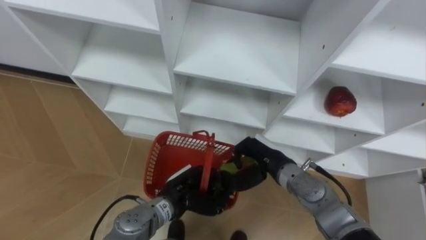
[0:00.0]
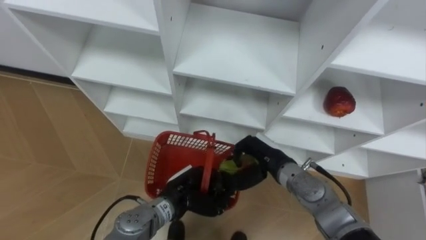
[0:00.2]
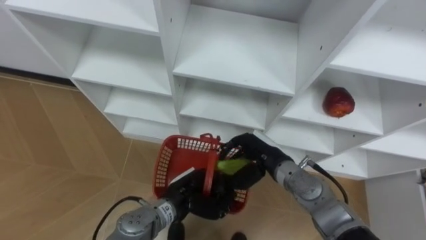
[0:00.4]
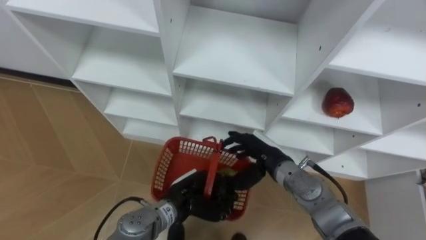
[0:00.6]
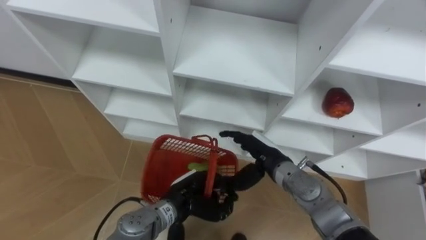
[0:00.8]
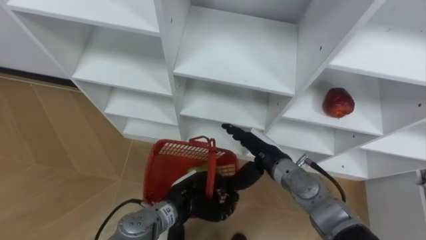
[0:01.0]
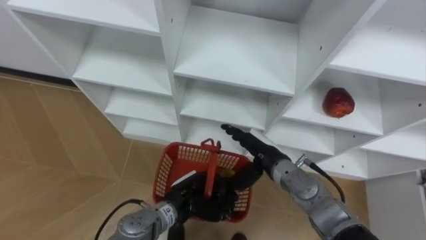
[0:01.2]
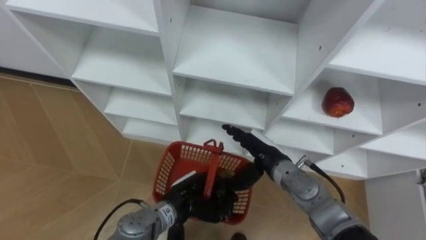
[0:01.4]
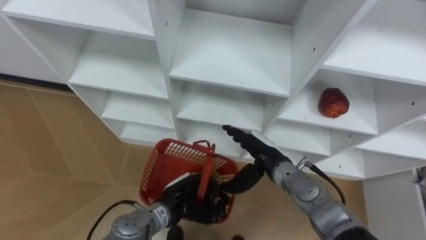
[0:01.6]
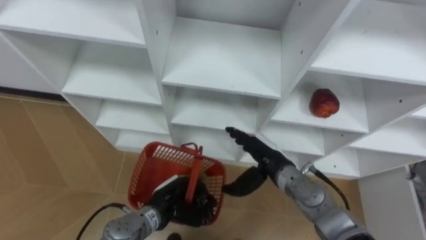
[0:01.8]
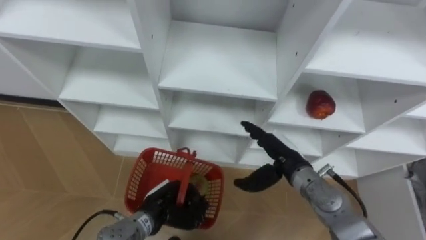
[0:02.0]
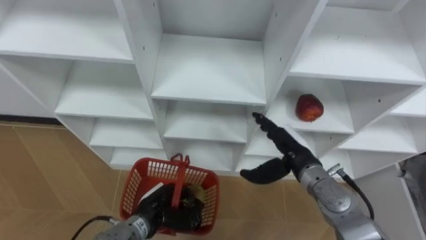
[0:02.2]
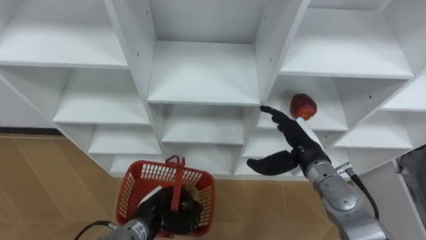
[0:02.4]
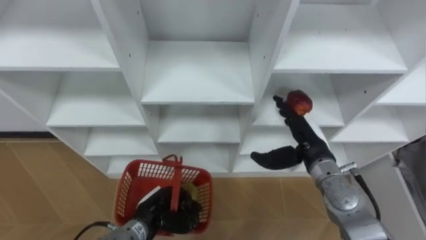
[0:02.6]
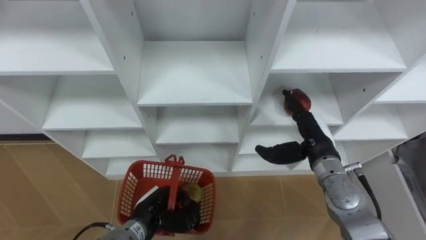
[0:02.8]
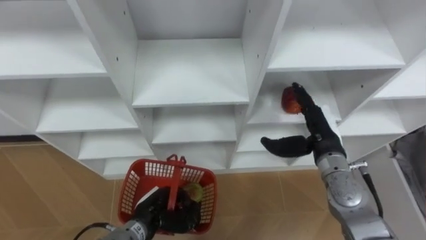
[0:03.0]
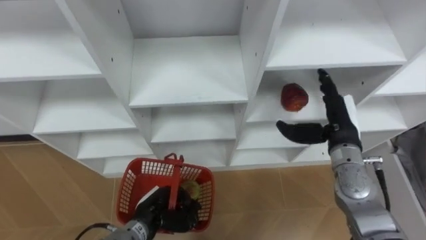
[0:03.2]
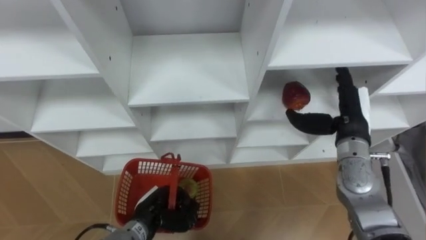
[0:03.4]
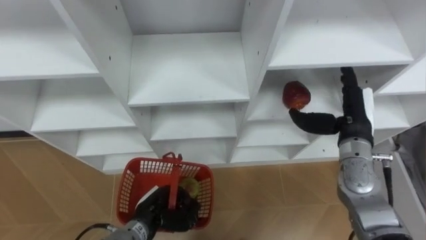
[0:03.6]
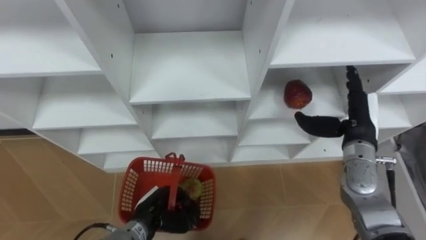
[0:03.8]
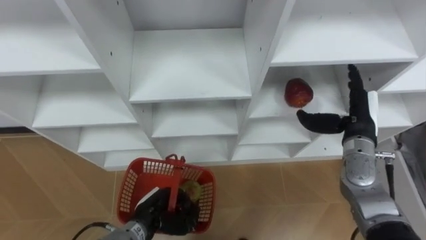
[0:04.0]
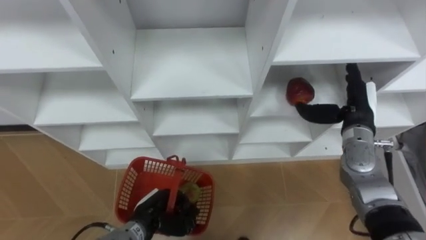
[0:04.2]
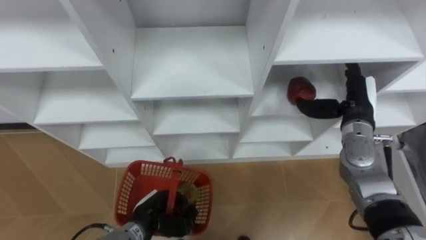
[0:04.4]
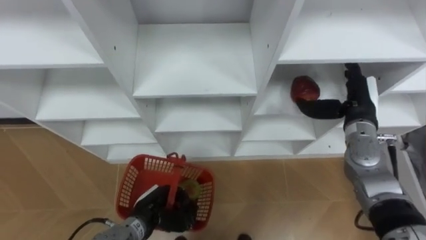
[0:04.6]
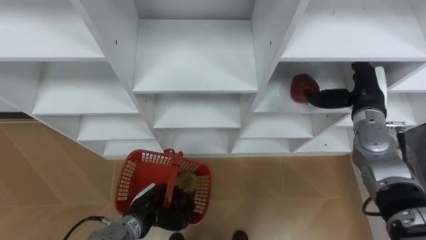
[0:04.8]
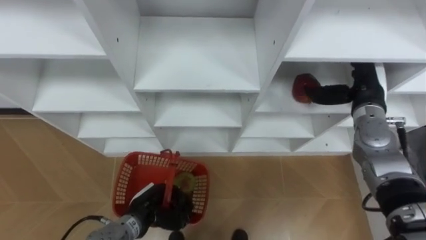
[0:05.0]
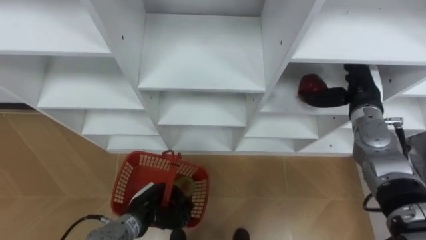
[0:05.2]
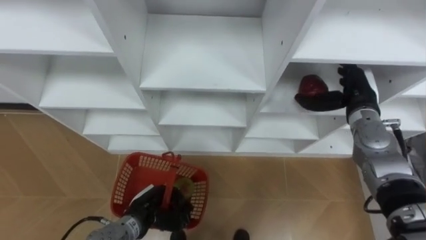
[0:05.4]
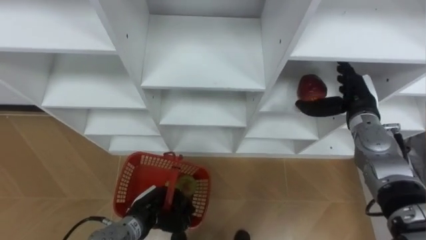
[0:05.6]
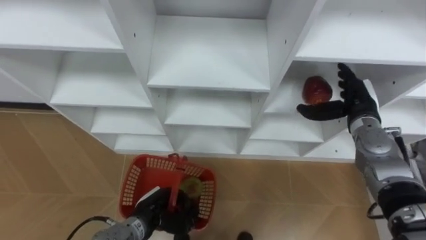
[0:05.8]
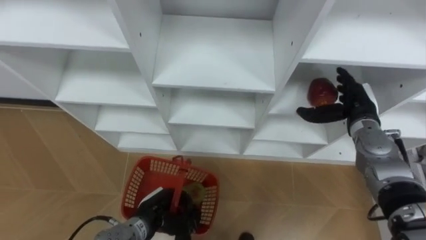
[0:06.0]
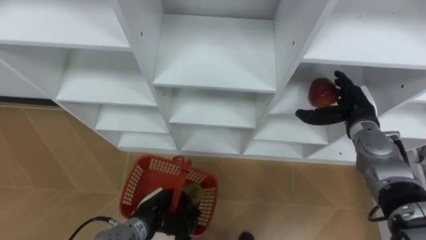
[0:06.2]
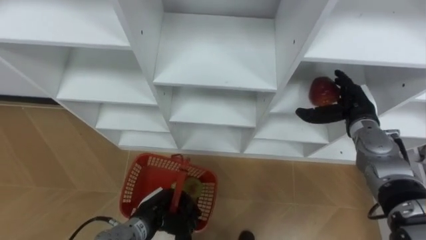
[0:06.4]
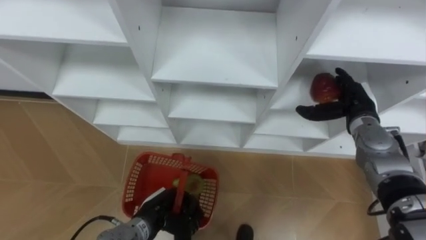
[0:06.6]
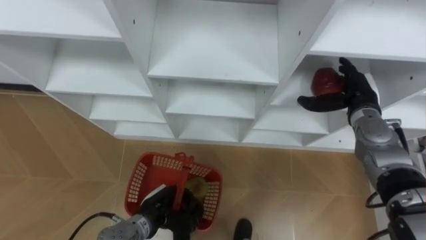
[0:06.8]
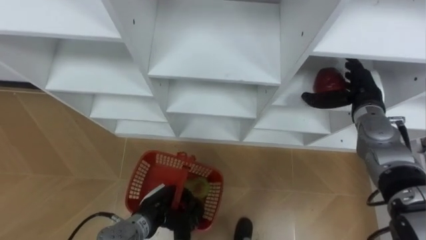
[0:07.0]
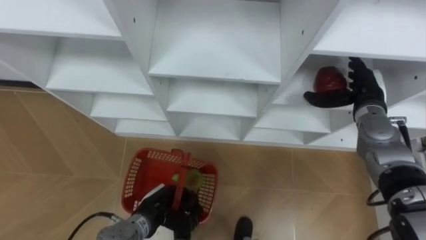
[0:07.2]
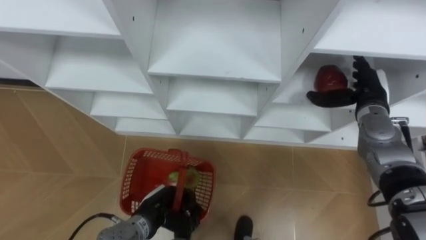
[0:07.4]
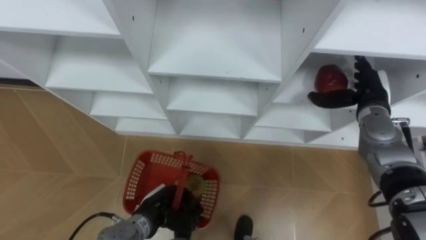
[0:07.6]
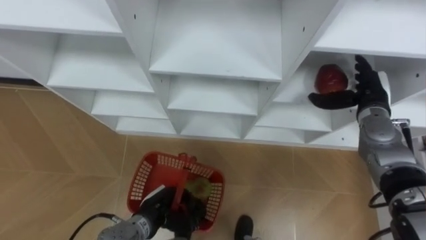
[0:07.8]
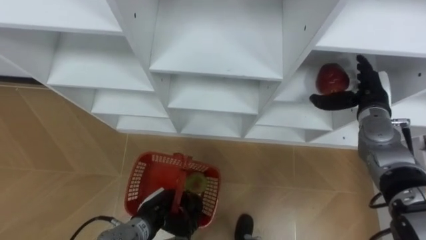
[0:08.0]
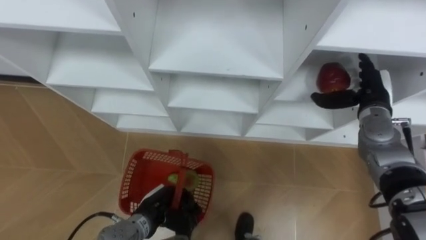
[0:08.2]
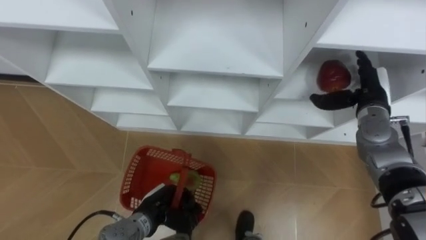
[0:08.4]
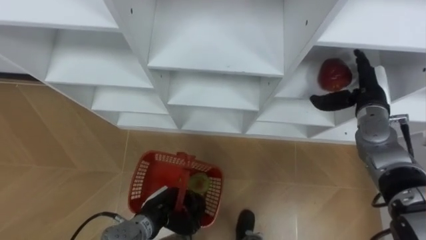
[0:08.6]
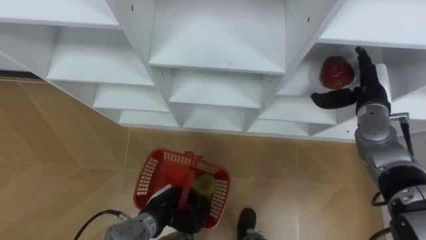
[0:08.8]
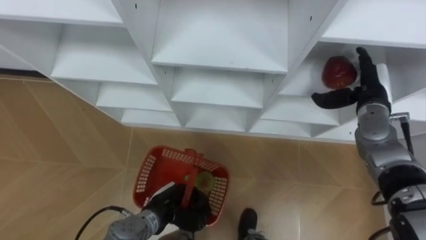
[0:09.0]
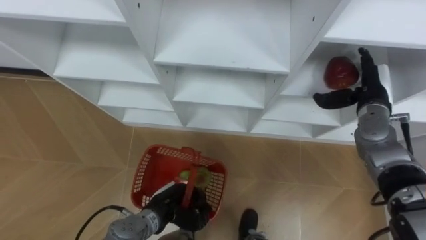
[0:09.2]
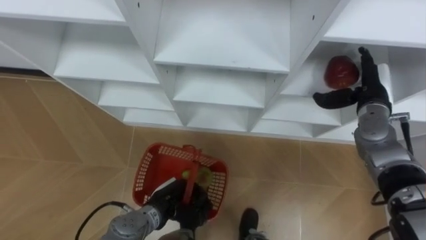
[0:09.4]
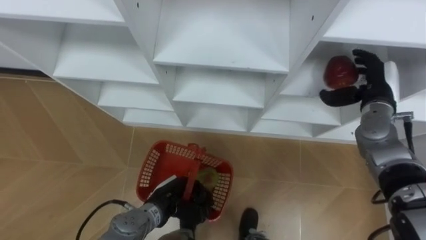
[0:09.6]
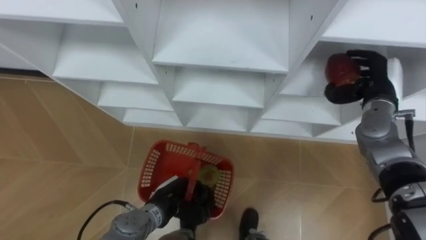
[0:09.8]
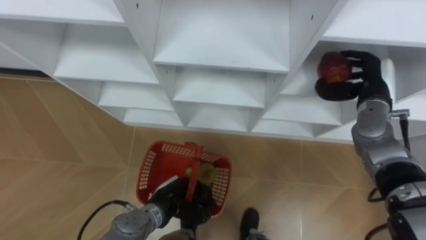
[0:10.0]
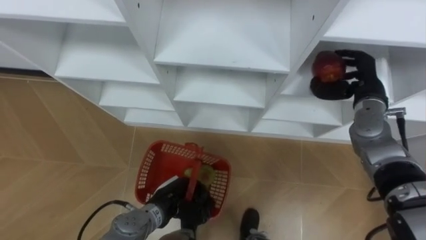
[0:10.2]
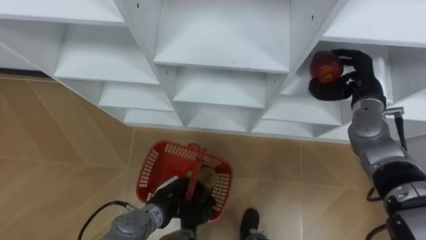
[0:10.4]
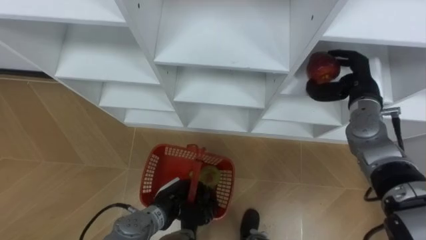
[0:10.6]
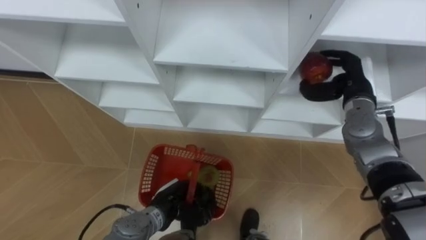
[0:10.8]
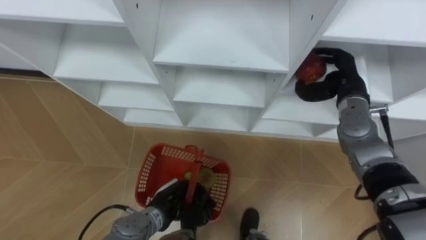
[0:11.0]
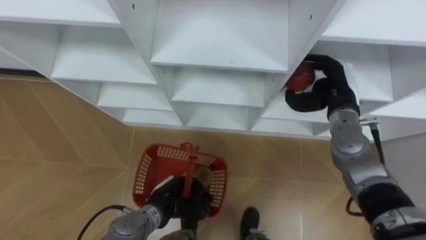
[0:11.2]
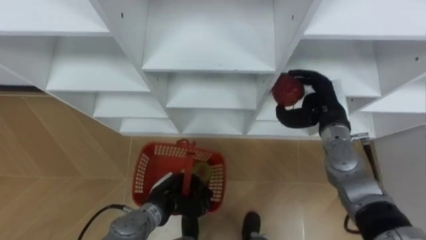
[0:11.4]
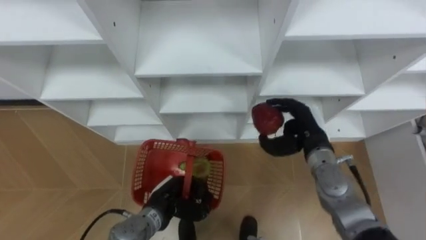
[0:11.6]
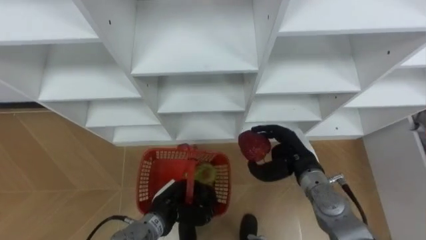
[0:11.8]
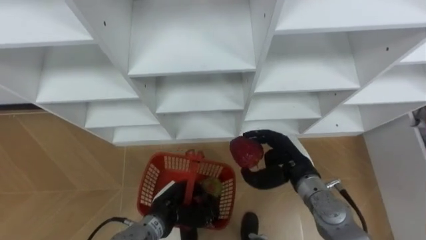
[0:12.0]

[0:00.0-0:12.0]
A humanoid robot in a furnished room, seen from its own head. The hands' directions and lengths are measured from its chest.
Task of the whole recording: Hold the basket and collect the fruits from 3 different cells of the closet into it.
0:00.0 to 0:01.6: The right hand opens.
0:01.6 to 0:03.0: The left hand is displaced to the left by approximately 5 cm, while the right hand travels to the right and upward by some 10 cm.
0:03.0 to 0:04.4: The right hand heads to the right, covering roughly 5 cm.
0:09.0 to 0:10.4: The right hand closes its fingers.
0:10.4 to 0:12.0: The right hand goes roughly 20 cm to the left, backward and downward.

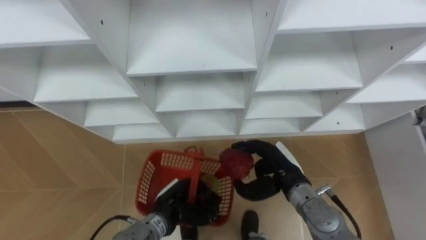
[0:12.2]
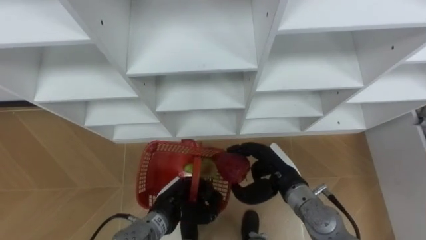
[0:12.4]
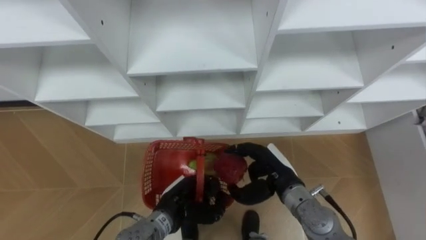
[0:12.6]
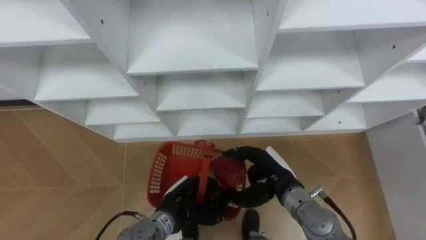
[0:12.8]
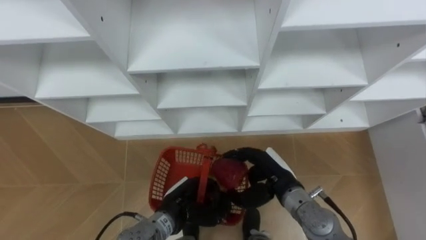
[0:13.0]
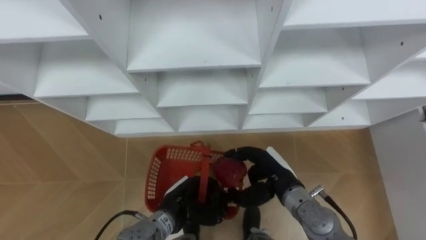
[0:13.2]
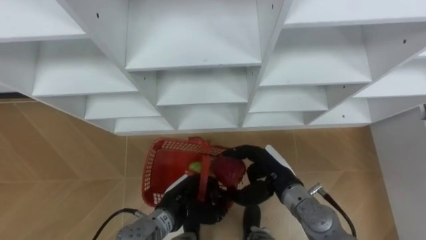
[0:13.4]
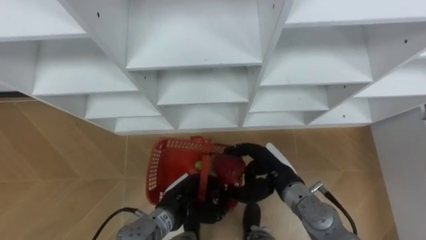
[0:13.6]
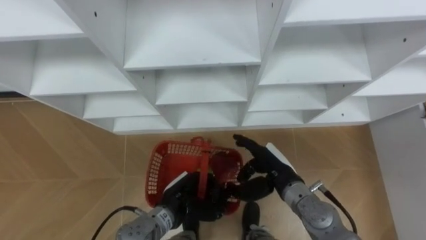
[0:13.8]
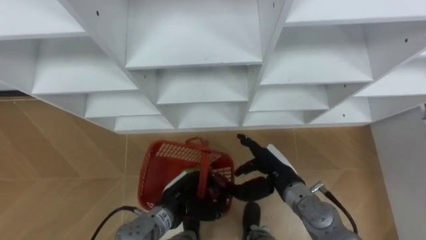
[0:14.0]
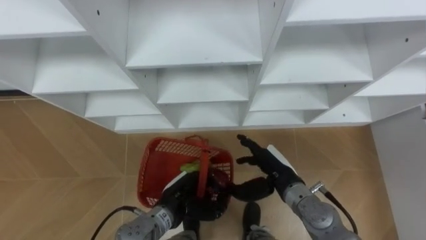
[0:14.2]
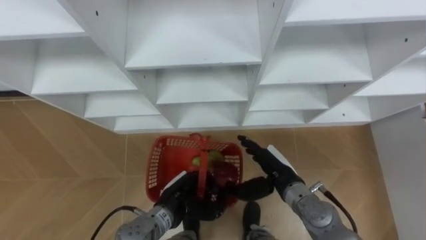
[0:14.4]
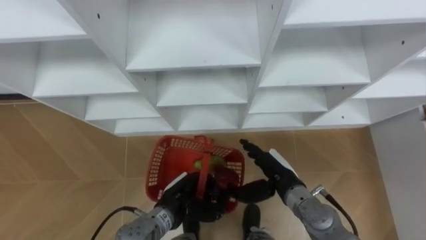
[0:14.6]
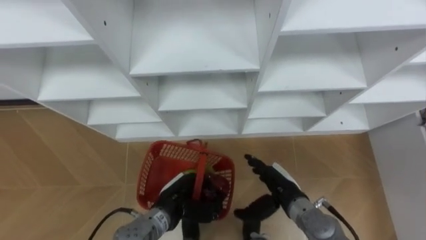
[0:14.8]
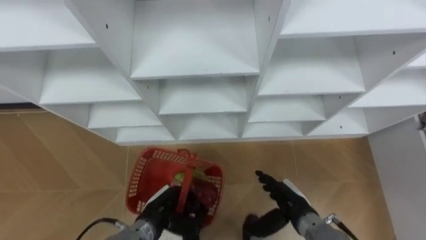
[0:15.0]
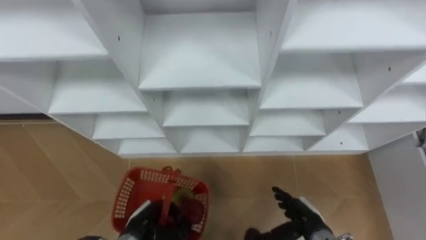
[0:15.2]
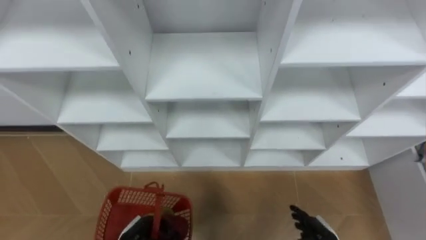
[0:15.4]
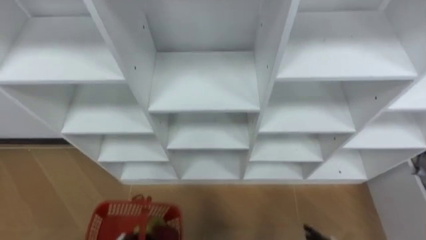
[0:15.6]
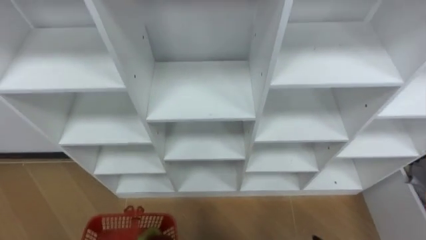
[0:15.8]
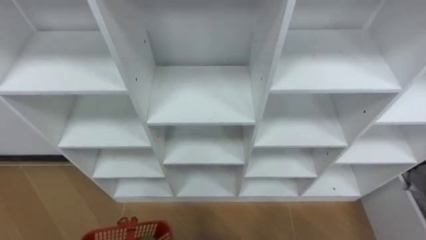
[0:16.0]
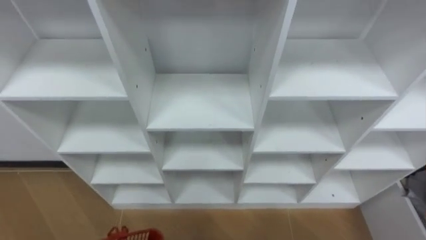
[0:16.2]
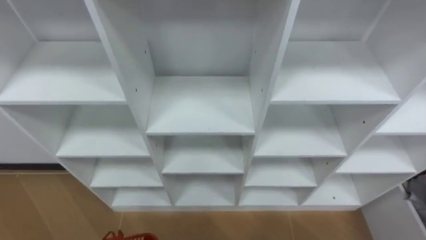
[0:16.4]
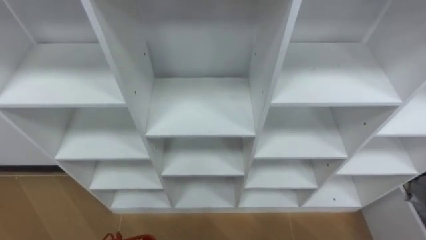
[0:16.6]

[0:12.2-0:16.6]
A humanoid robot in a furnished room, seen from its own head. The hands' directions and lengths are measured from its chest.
Task of the whole recording: Hold the basket and collect the fruits from 3 different cells of the closet into it.
0:13.6 to 0:15.2: The right hand moves downward, backward and to the right, approximately 15 cm, and opens its fingers. The left hand shifts roughly 10 cm to the left.
